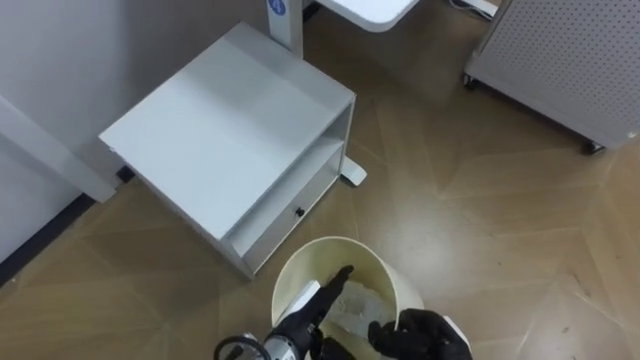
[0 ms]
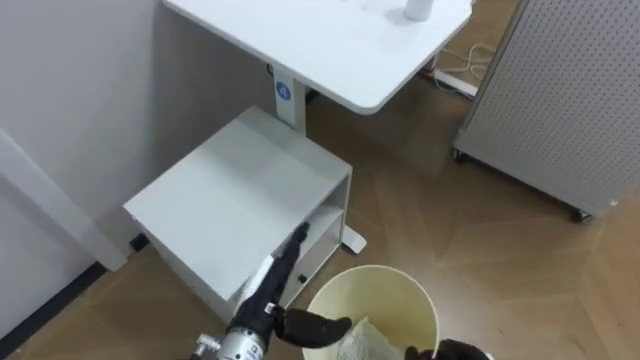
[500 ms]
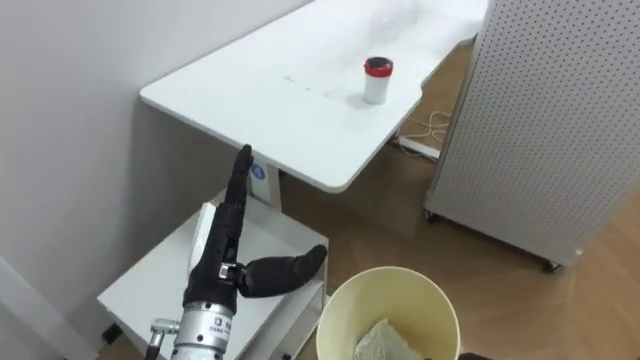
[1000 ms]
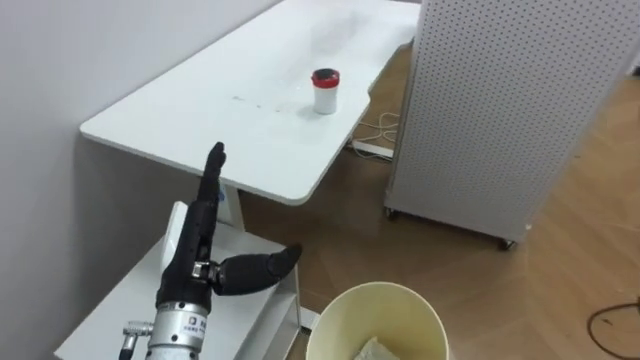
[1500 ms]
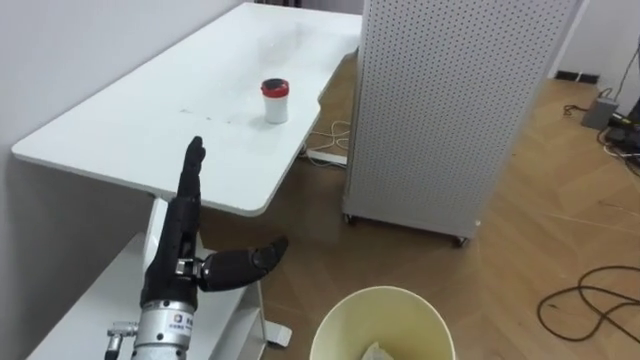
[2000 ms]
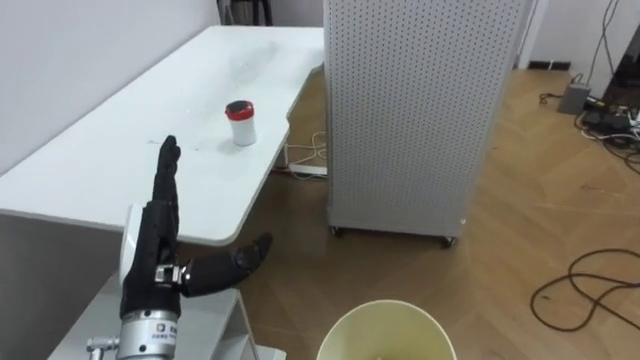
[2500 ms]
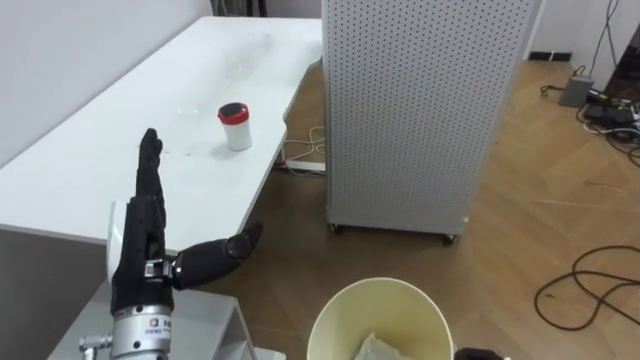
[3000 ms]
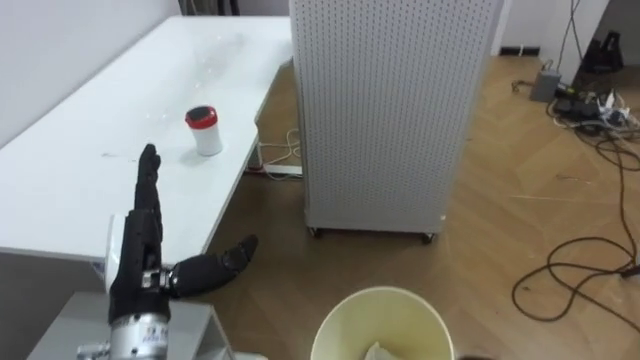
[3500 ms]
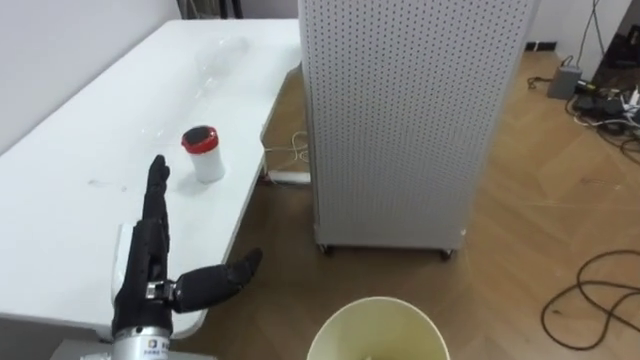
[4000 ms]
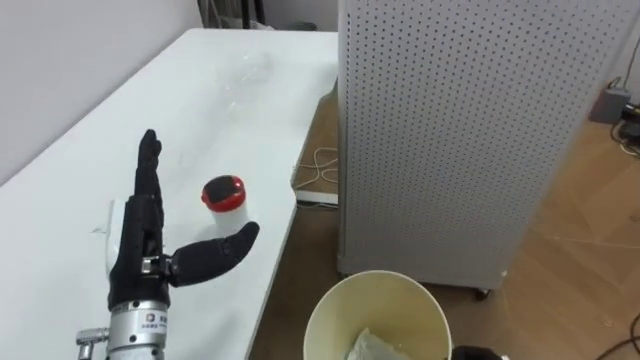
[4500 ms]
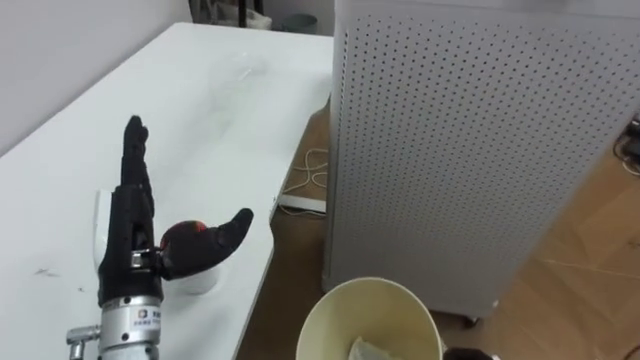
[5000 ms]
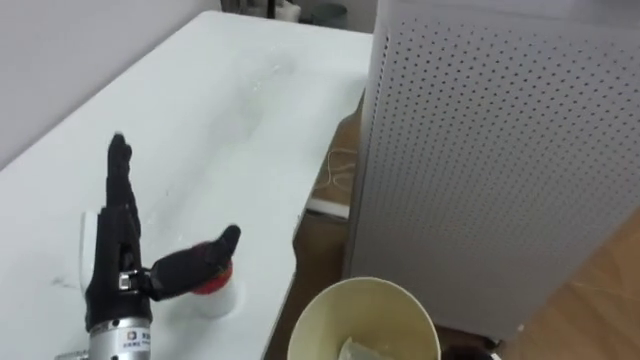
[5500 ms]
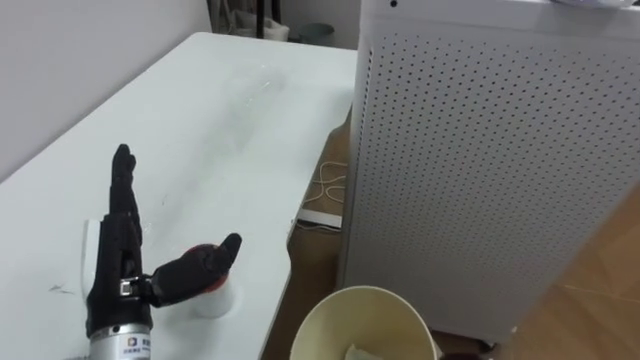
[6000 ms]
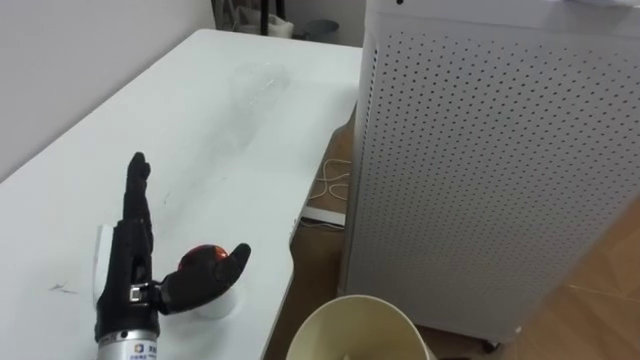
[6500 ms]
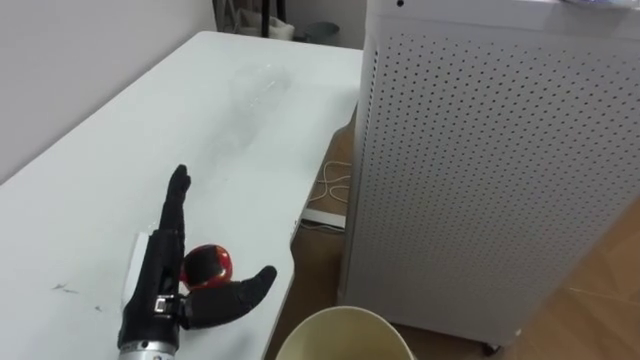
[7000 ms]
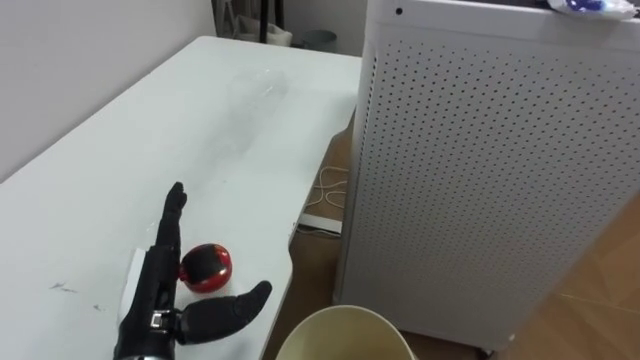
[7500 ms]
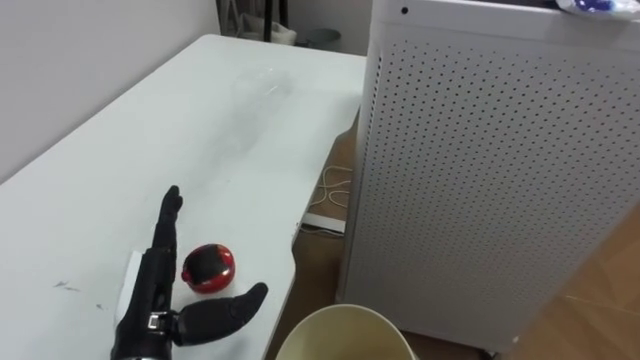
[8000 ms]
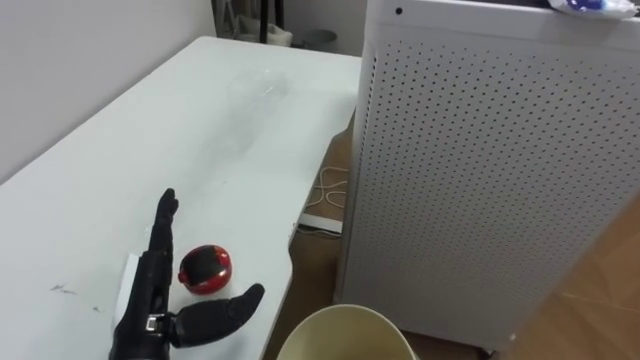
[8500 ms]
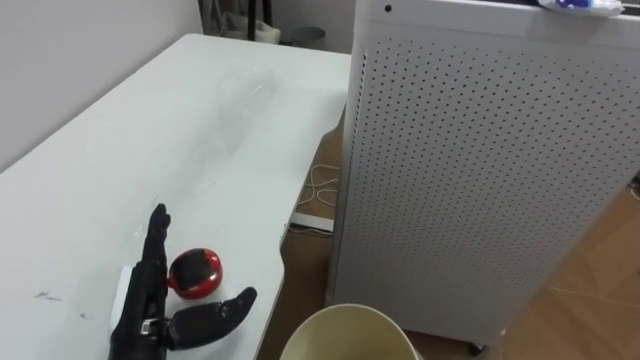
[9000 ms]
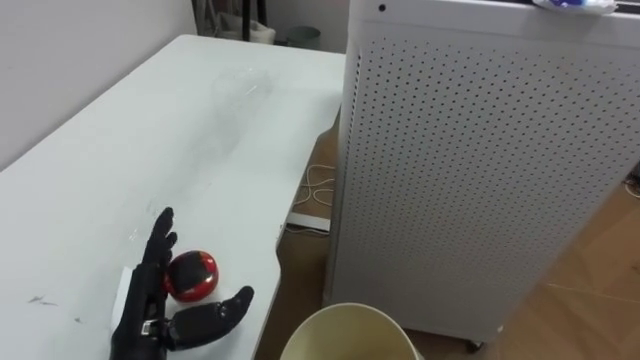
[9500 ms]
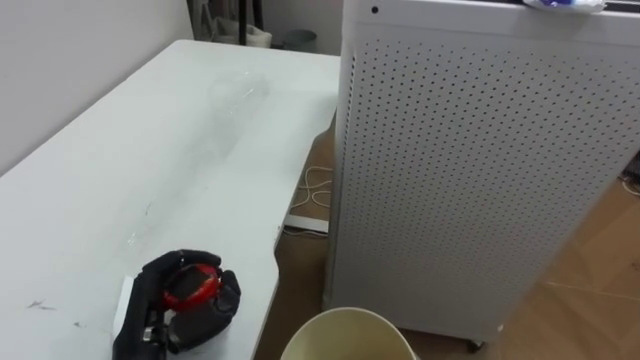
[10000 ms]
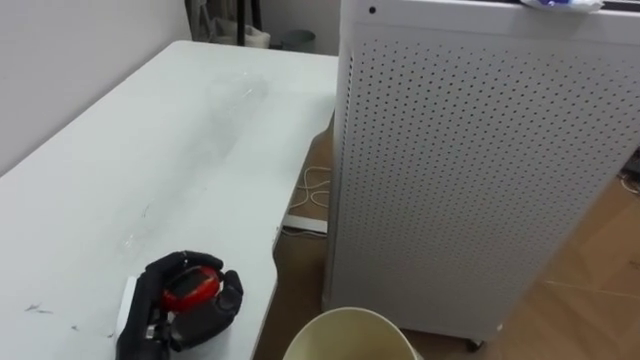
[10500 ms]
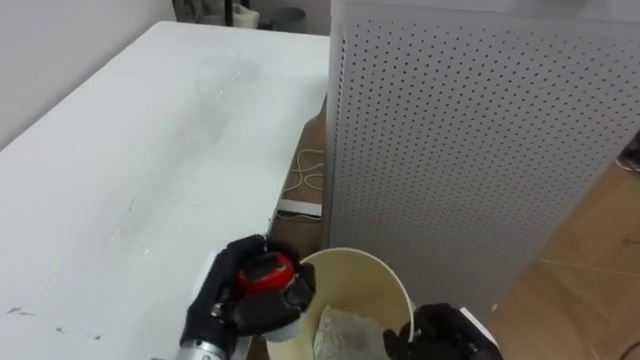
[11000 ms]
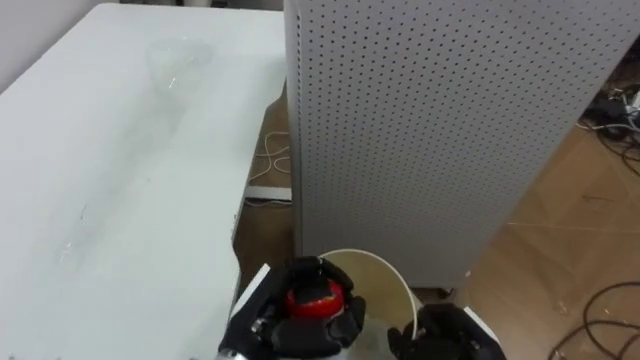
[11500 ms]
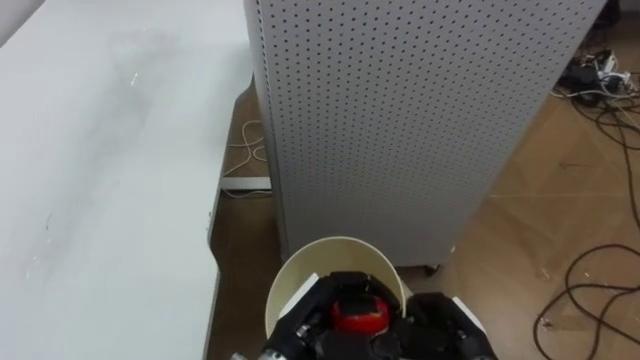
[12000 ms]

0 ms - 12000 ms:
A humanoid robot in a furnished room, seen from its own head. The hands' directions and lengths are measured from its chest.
Task of the whole recording: Pick up the light blue package, the candy box, and the dark blue package separately, and put them into the trash can held in your right hand.
0 ms - 2000 ms: The robot faces some 25 degrees further to its right. The left hand heads upward and to the left, covering about 20 cm.
8000 ms - 10000 ms: The left hand closes up.
10000 ms - 12000 ms: The left hand heads to the right, covering approximately 20 cm.

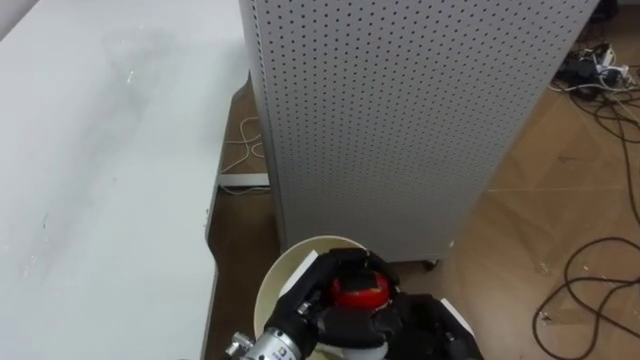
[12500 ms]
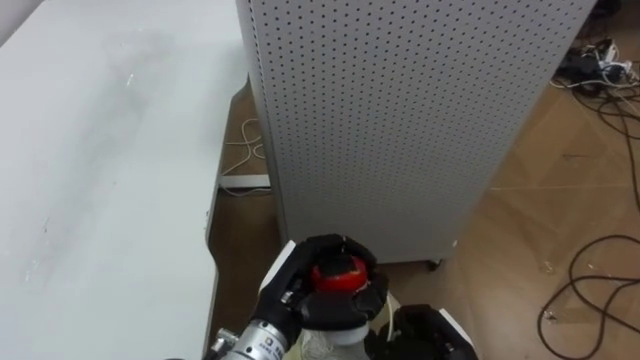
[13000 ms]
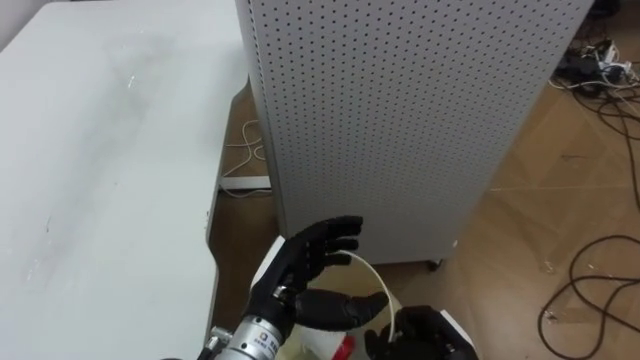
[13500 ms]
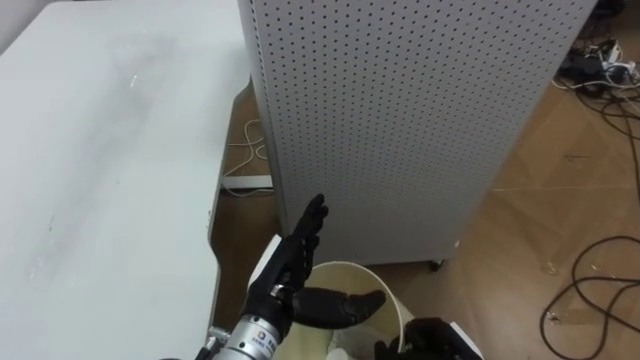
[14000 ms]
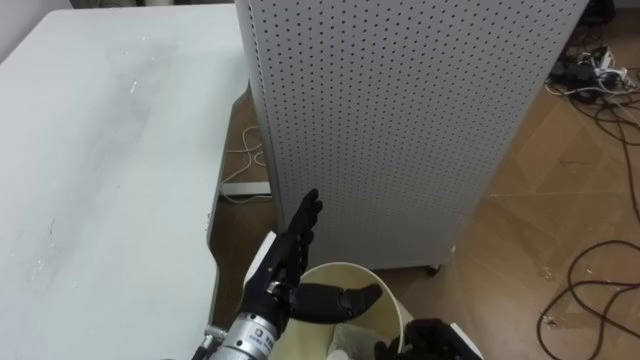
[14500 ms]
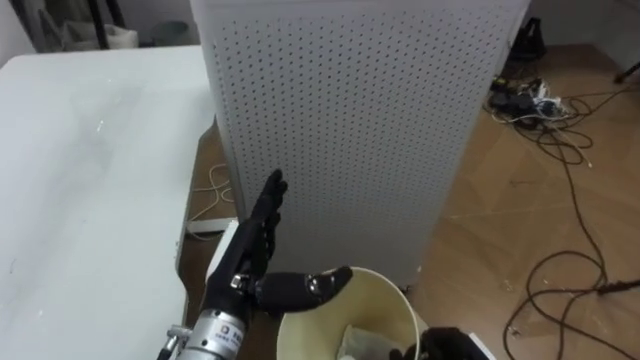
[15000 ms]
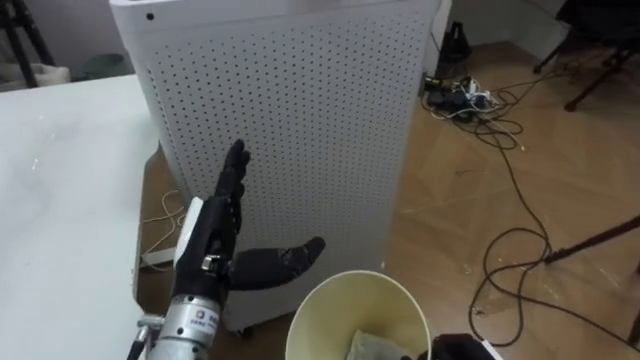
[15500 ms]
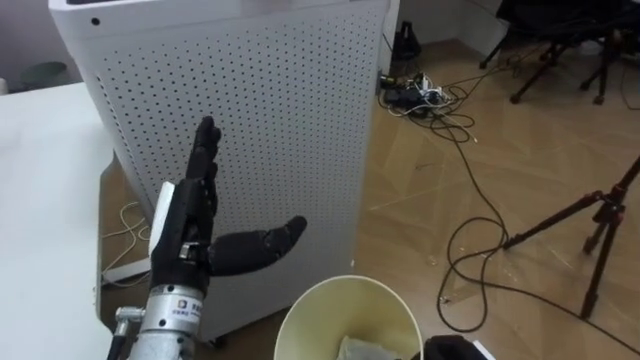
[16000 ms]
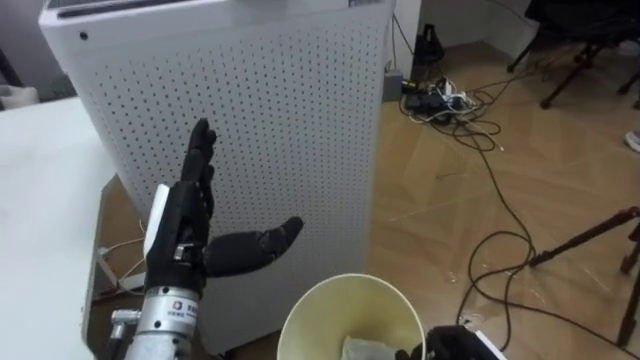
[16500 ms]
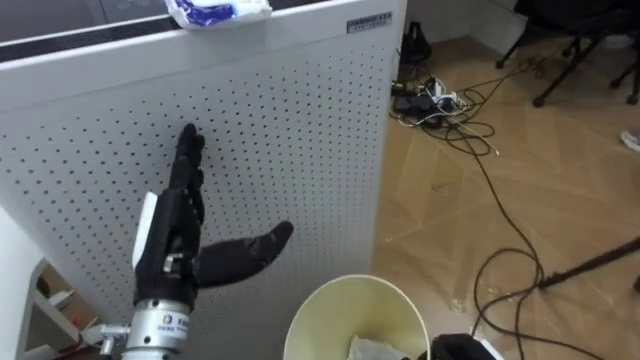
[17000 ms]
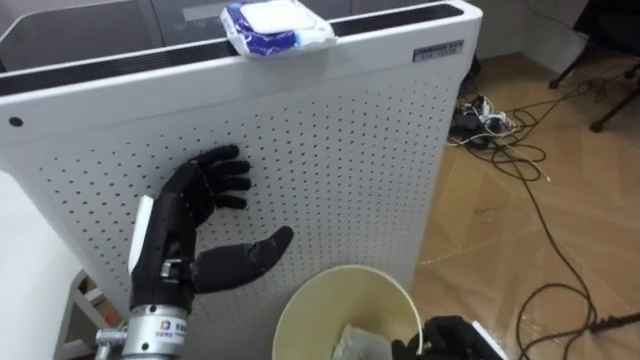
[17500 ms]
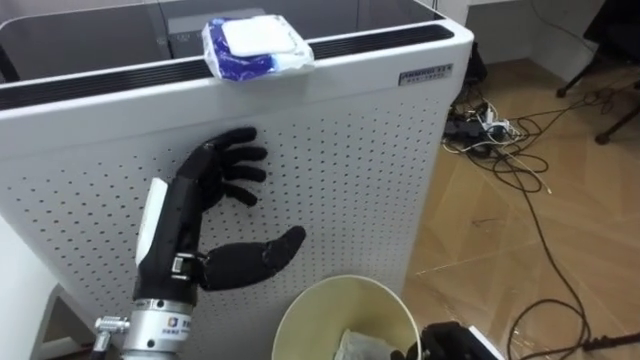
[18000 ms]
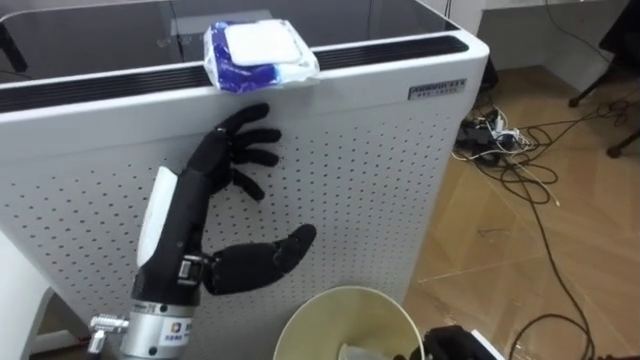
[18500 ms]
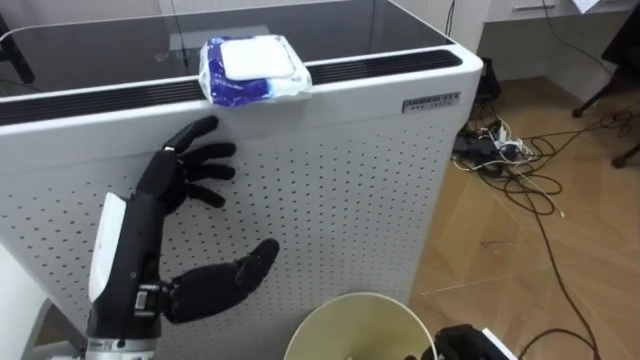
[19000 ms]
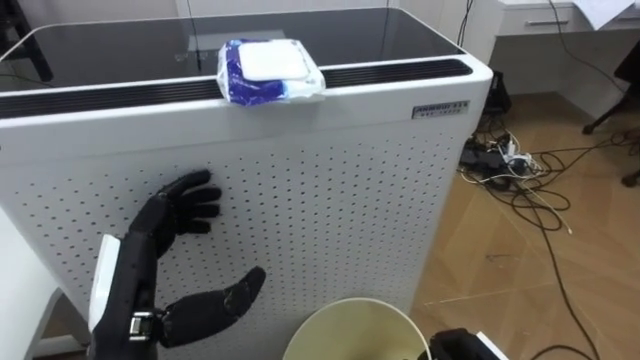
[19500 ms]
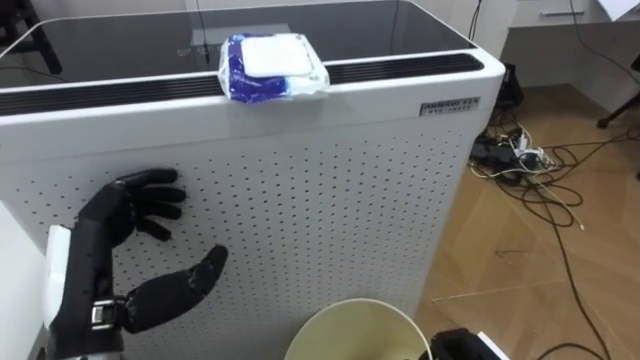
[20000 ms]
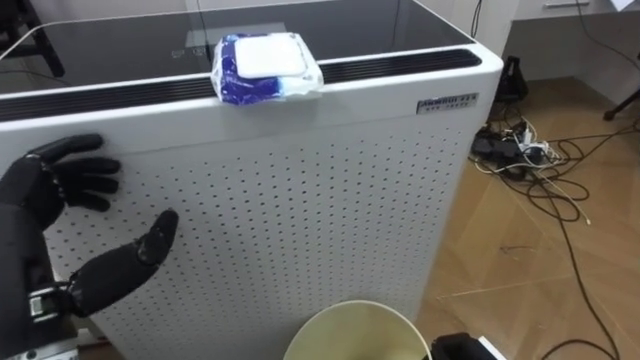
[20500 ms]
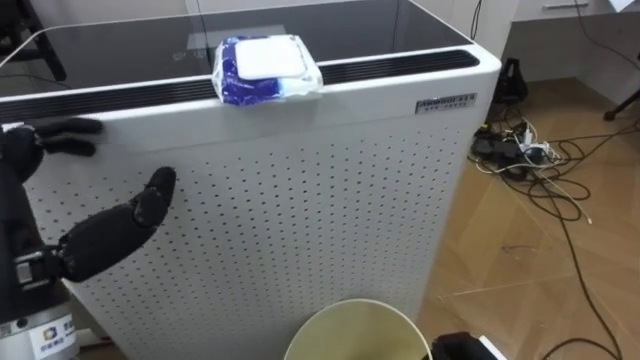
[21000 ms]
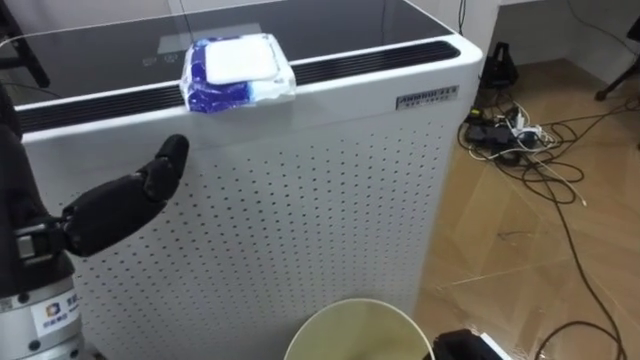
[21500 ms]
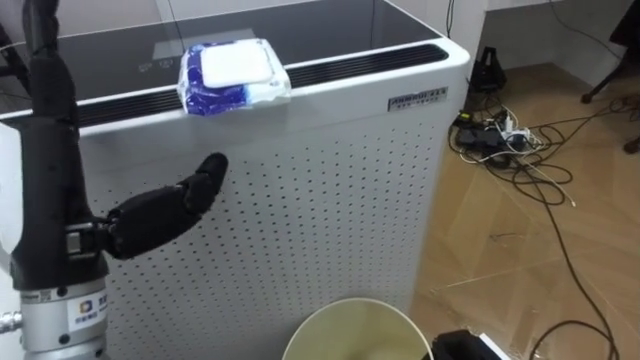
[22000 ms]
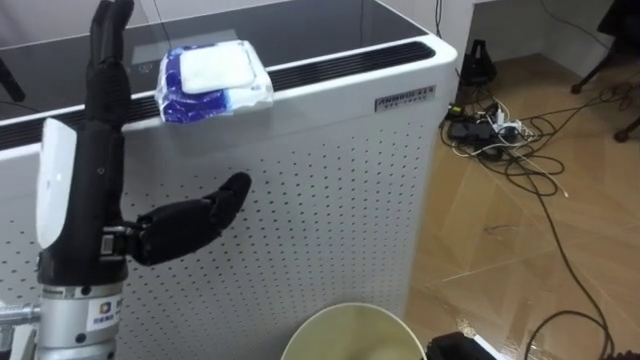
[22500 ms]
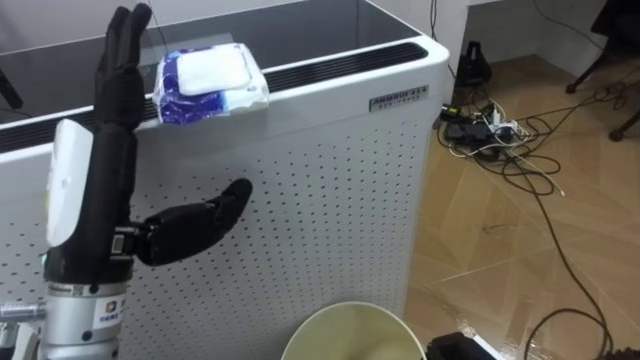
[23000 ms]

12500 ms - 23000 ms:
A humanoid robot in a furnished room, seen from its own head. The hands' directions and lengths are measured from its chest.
Task of the whole recording: Pick up the light blue package, the candy box, and the dark blue package separately, and put them into the trash can held in your right hand.
12500 ms - 14500 ms: The left hand opens up.
14500 ms - 16500 ms: The robot faces about 25 degrees further to its right. The left hand moves to the left and upward, approximately 10 cm.
16500 ms - 19000 ms: The left hand is displaced backward by approximately 5 cm.
19000 ms - 21000 ms: The left hand shifts approximately 5 cm to the left.
21000 ms - 23000 ms: The left hand heads to the right, covering some 5 cm.
